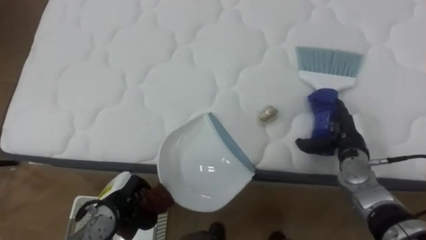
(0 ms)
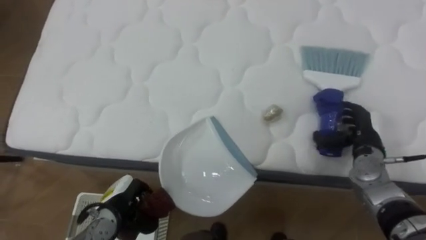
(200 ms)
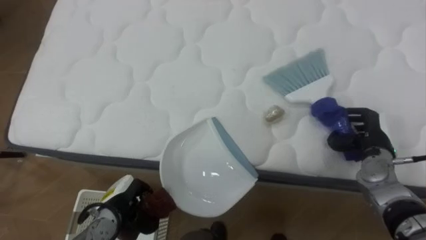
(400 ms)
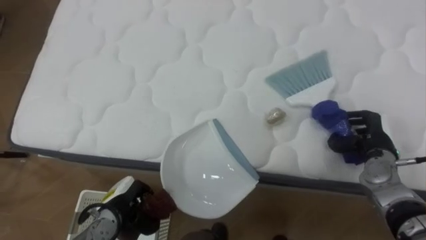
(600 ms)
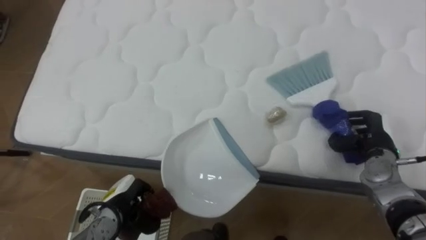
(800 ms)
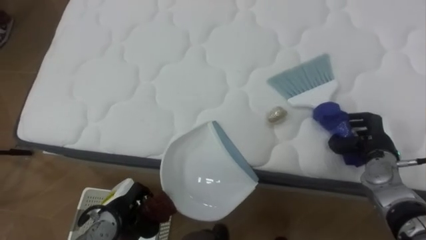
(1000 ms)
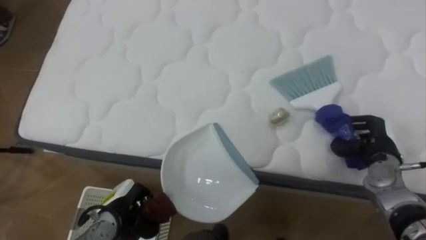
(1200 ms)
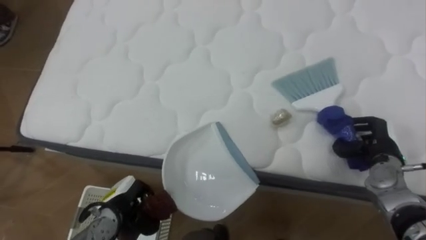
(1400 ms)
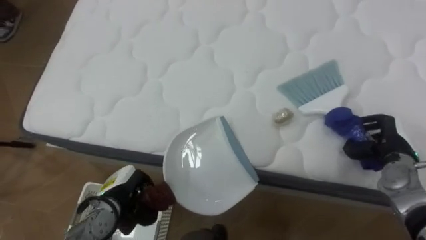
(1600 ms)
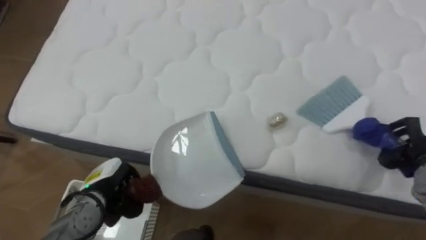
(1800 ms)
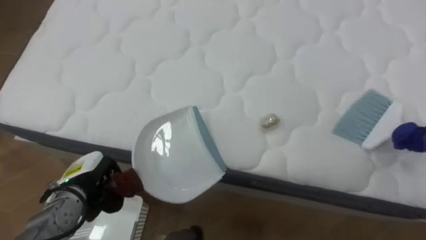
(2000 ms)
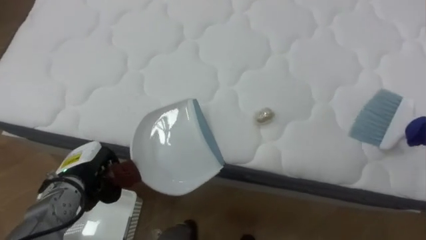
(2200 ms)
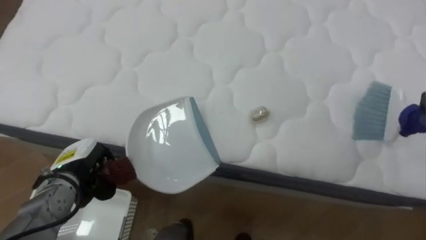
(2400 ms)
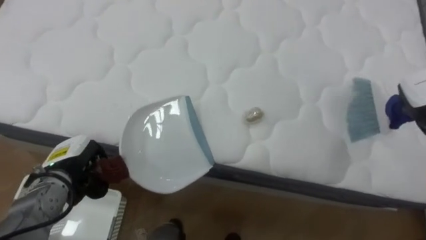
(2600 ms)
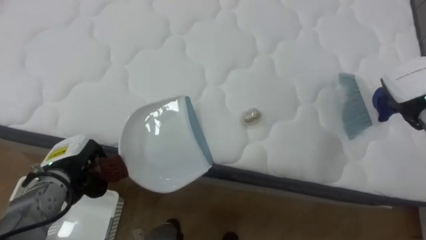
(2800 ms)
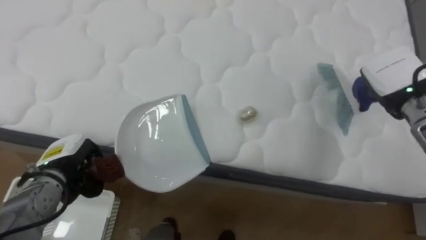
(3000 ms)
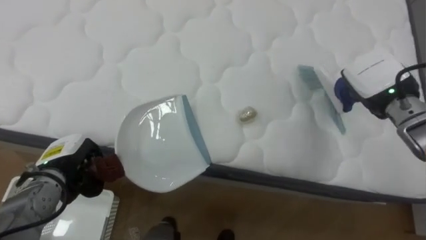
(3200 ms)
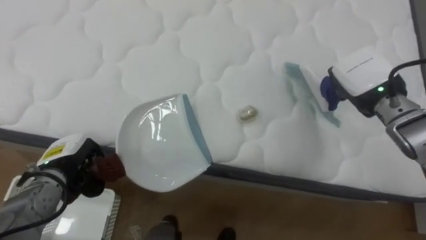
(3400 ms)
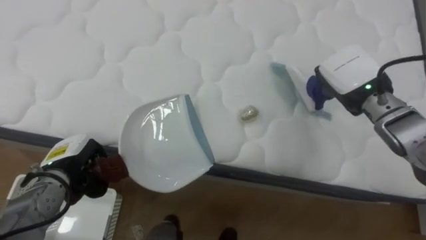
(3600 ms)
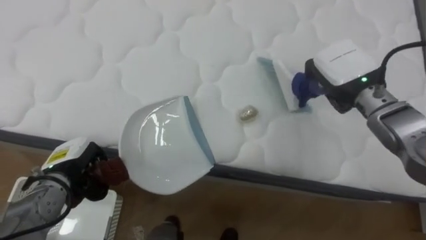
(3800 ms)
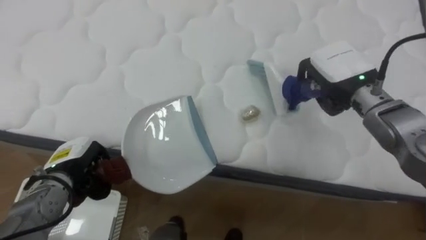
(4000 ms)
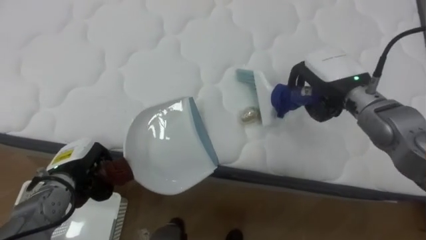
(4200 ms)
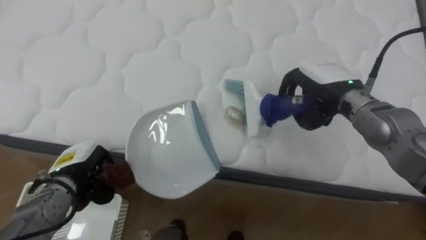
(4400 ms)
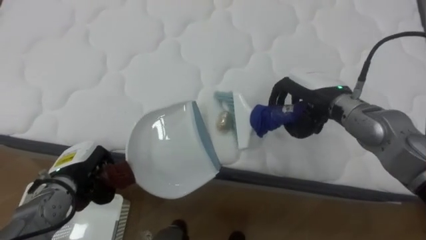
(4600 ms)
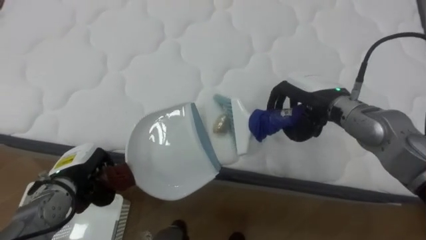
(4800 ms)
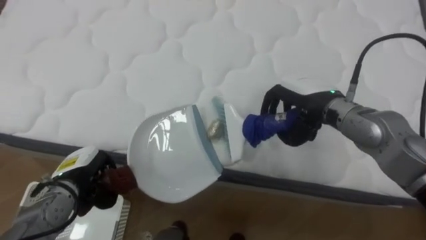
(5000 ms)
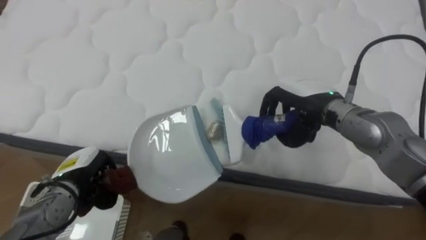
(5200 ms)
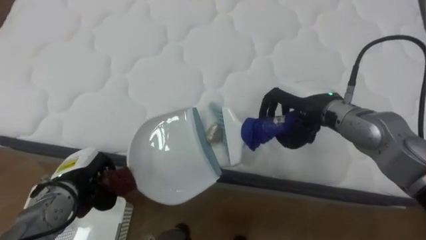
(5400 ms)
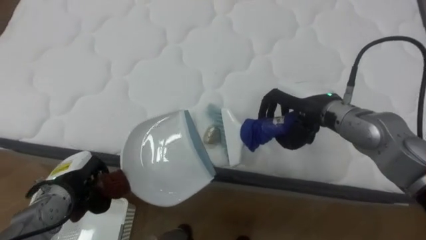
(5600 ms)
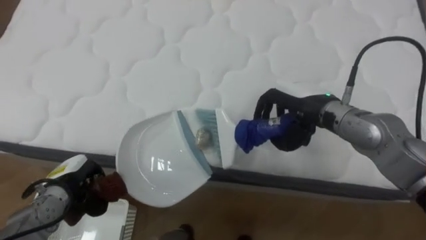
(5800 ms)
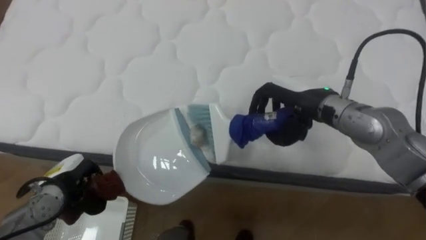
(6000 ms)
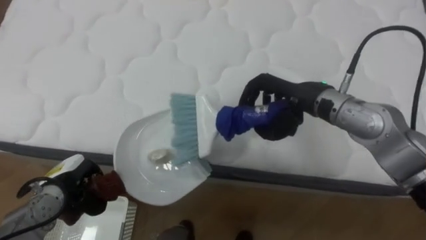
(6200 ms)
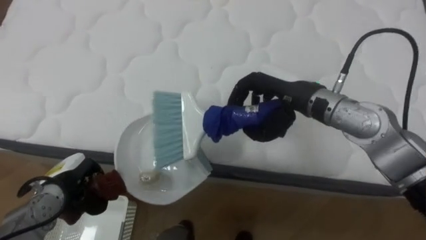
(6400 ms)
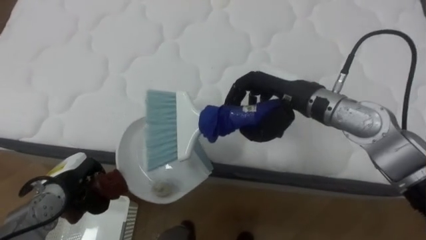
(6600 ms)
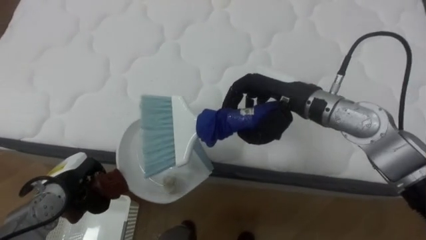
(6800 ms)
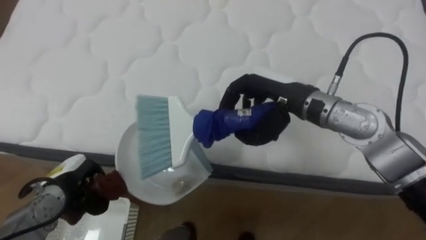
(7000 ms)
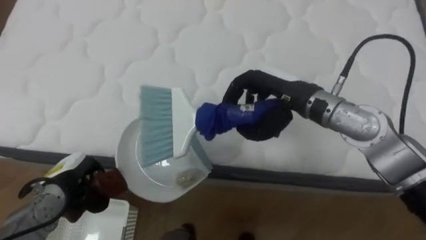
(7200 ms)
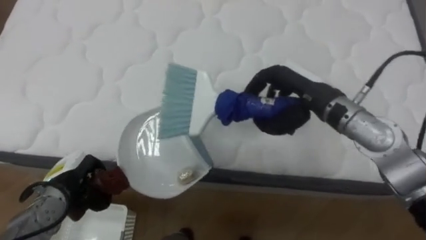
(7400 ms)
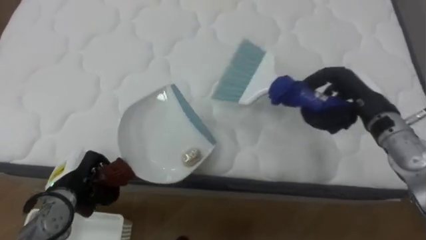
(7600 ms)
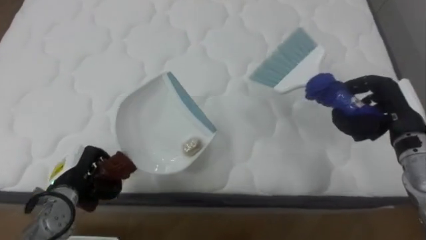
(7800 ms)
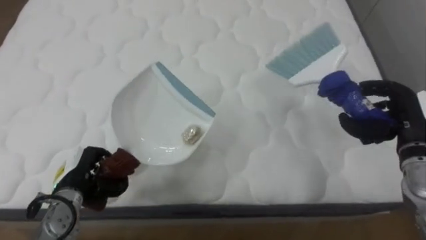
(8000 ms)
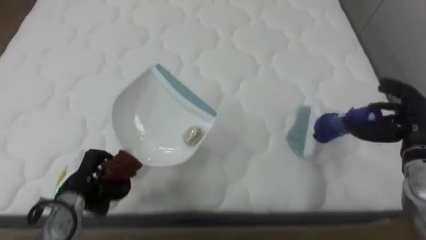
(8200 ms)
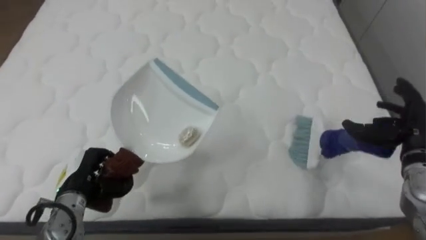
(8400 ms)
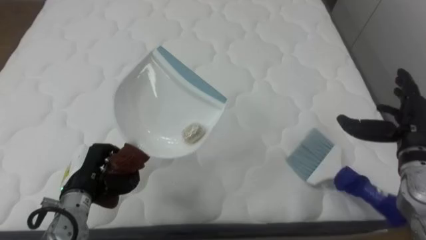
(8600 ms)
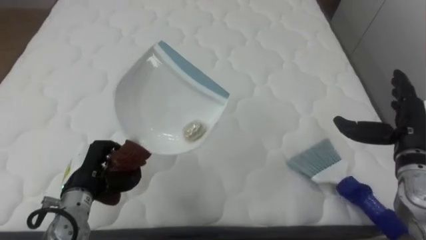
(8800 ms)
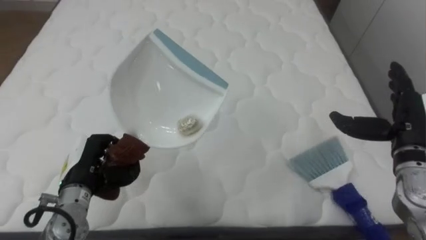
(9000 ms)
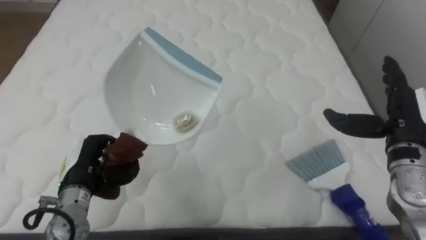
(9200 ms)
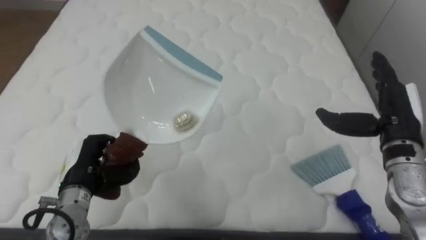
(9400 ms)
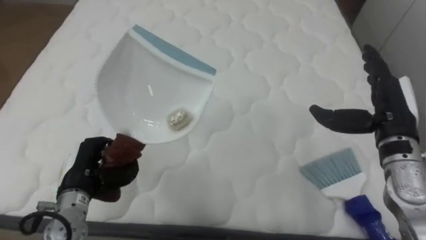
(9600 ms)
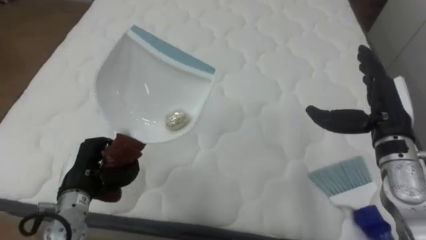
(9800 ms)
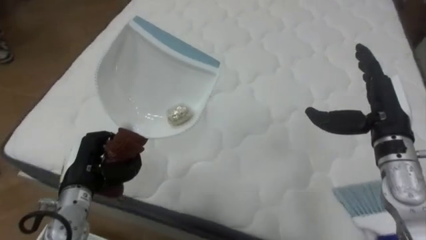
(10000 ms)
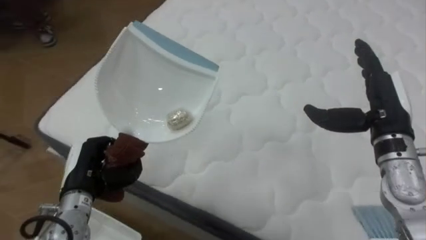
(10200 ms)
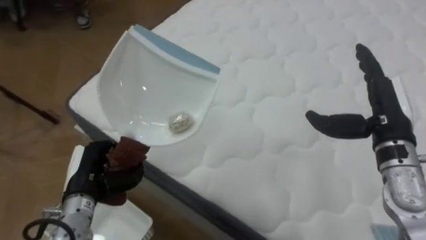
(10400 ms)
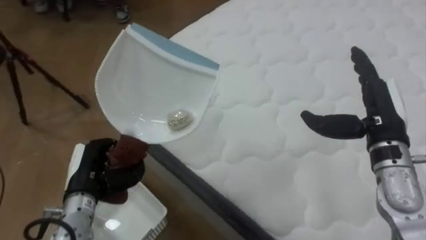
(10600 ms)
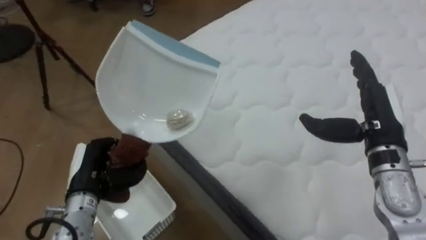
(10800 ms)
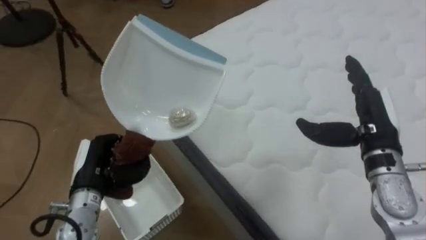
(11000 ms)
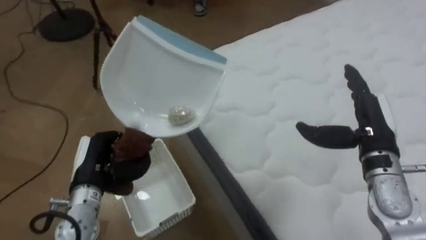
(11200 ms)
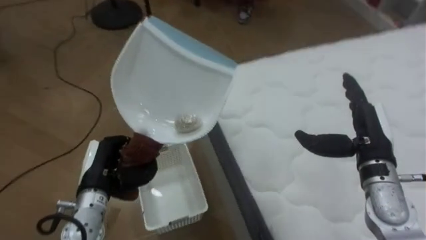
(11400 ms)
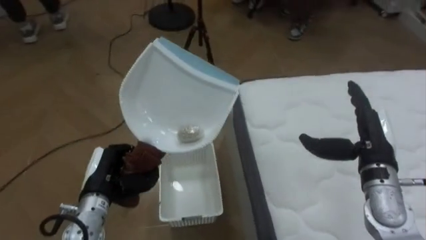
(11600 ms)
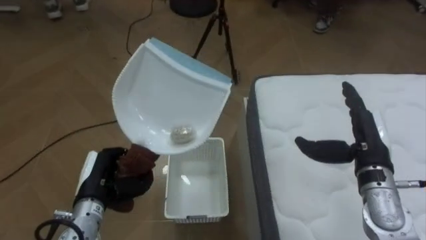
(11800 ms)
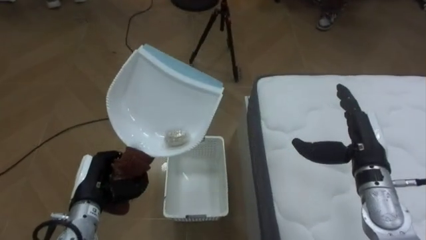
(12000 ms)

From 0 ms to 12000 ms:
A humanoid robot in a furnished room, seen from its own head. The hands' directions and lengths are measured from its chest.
Task of the whole recording: Pick up the brush on your right and the dustpan on your left. Use the brush to sweep the crumpled paper on the bed into the dustpan, then turn left and empty it into the basket.
From 0 ms to 1600 ms: The right hand travels to the right by roughly 10 cm, and closes its fingers.
From 1600 ms to 3000 ms: The left hand is displaced to the left and upward by about 10 cm.
From 3000 ms to 4400 ms: The right hand heads to the left, covering about 15 cm.
From 4400 ms to 6000 ms: The right hand shifts about 5 cm to the left.
From 6000 ms to 7600 ms: The right hand heads to the right, covering about 10 cm.
From 7600 ms to 9000 ms: The right hand heads to the right and backward, covering roughly 10 cm, and opens its fingers; the left hand moves roughly 5 cm.
From 9000 ms to 10400 ms: The robot's body swings roughly 30 degrees to its left. The right hand travels to the left by about 5 cm.
From 10400 ms to 12000 ms: The robot turns to its left by some 60 degrees. The right hand heads downward, covering about 5 cm.

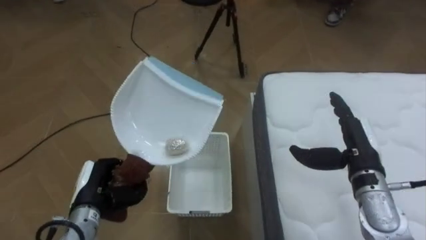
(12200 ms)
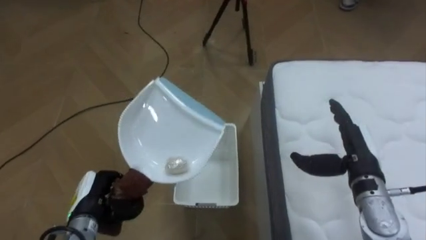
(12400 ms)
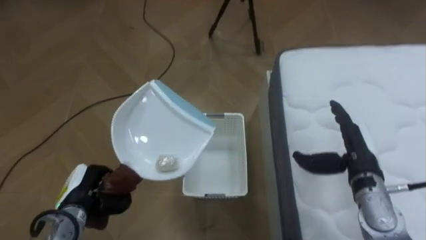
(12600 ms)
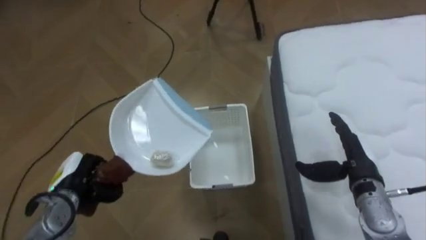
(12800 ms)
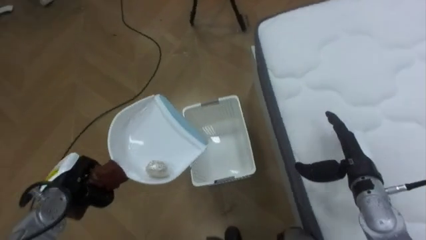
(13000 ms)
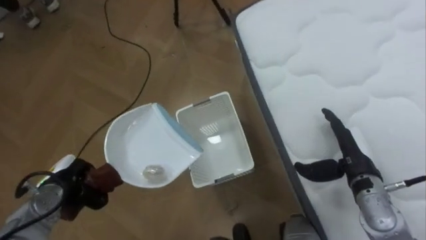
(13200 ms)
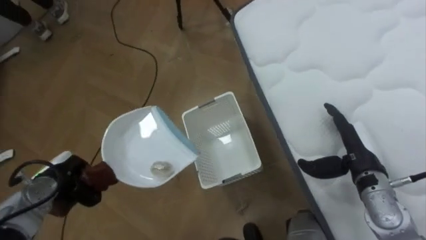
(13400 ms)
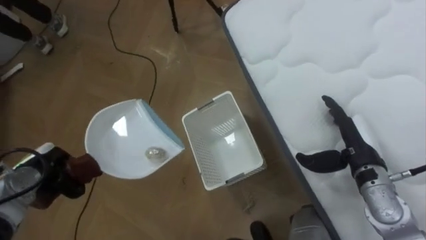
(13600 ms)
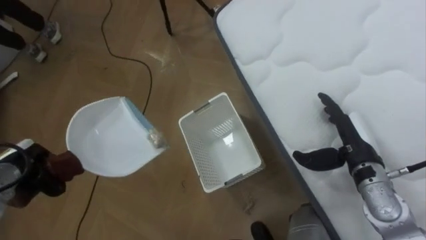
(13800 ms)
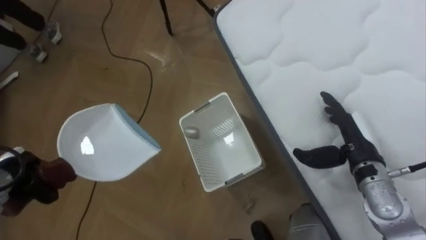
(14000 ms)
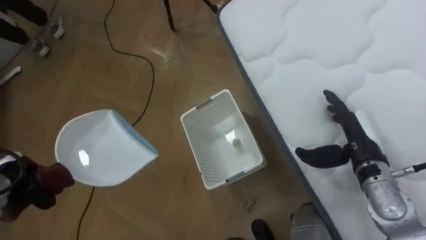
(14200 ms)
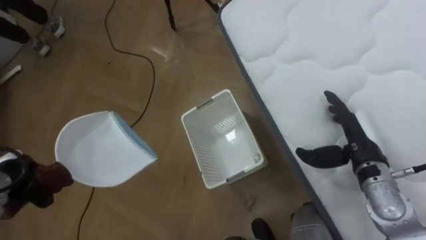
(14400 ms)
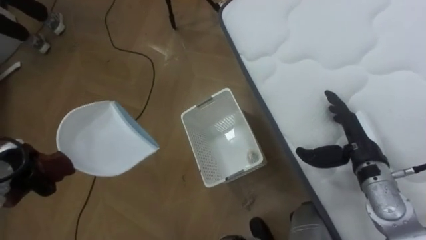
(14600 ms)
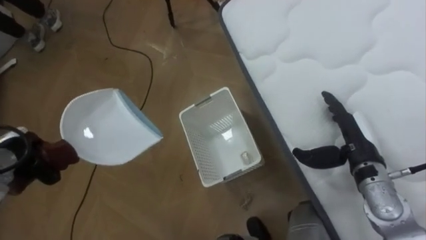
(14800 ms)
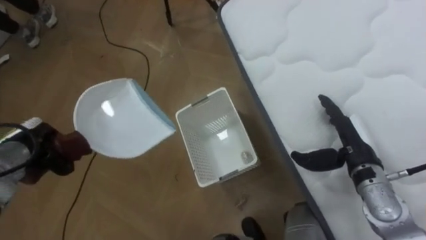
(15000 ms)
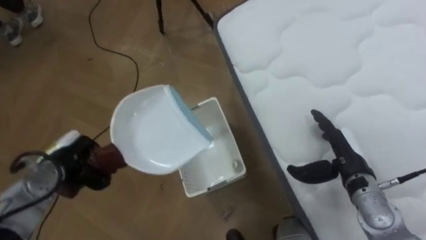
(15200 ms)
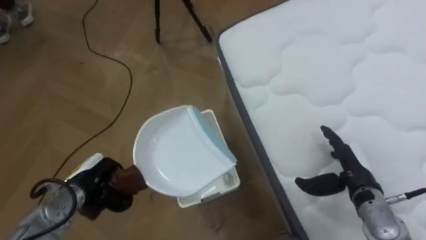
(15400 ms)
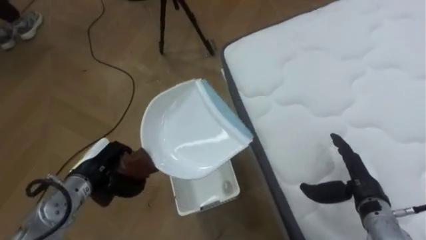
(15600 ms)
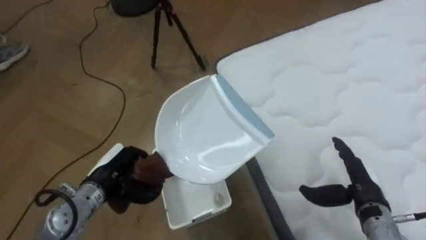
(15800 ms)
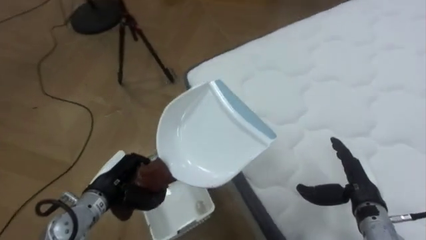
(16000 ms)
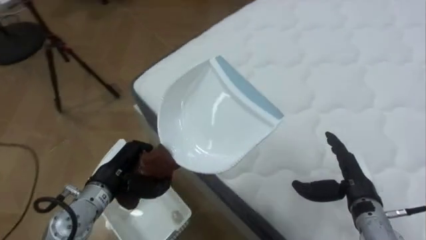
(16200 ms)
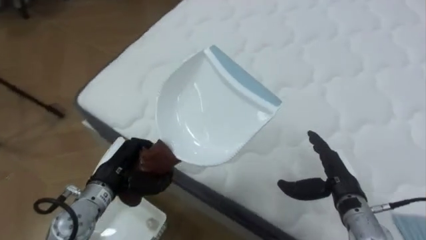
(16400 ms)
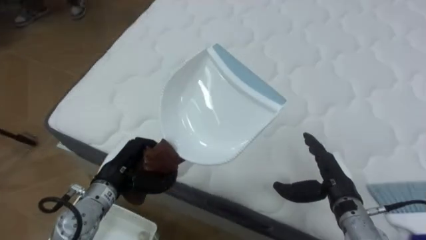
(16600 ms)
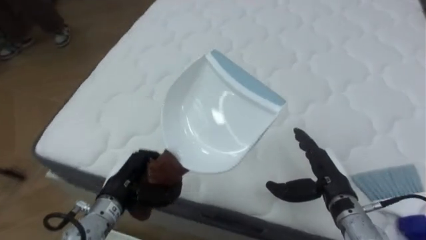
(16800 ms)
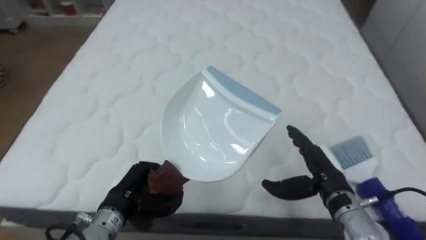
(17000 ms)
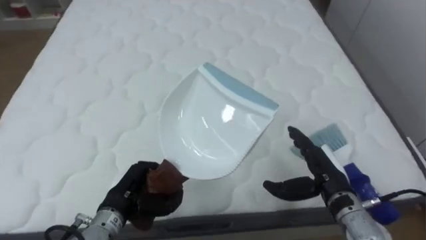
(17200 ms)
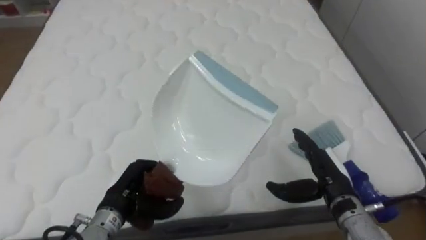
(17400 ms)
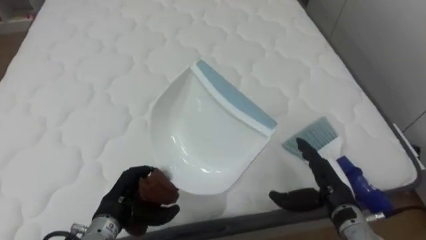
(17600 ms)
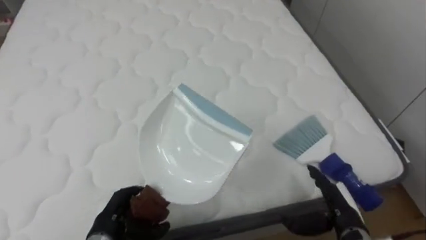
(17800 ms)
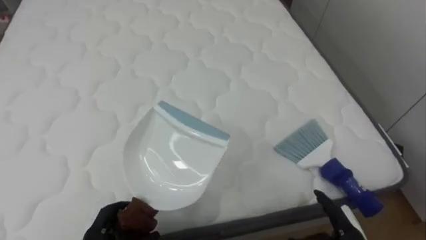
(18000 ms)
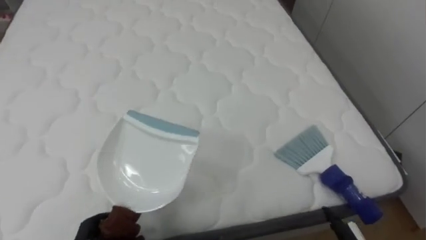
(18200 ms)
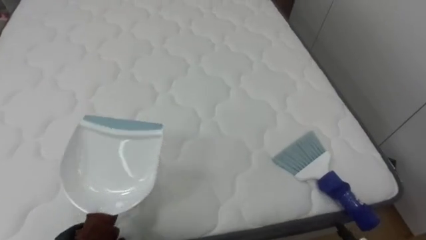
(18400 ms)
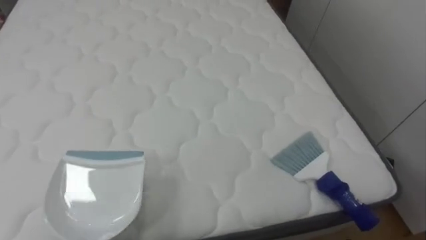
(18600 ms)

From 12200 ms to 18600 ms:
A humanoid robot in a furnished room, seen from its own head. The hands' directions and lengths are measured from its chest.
Task of the whole recording: Pick up the brush on your right and the dustpan on your left. Use the brush to sweep the crumpled paper on the bed into the dustpan, then turn left and empty it into the basket.
From 12200 ms to 13800 ms: The left hand shifts approximately 15 cm to the left.
From 13800 ms to 15400 ms: The left hand goes approximately 10 cm to the right, while the right hand ends up approximately 5 cm from where it was.
From 15400 ms to 17000 ms: The robot turns to its right by about 75 degrees. The right hand goes some 5 cm to the left; the left hand heads to the right, covering approximately 10 cm.
From 17000 ms to 18600 ms: The robot turns to its right by some 15 degrees.